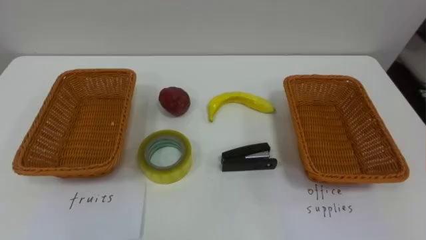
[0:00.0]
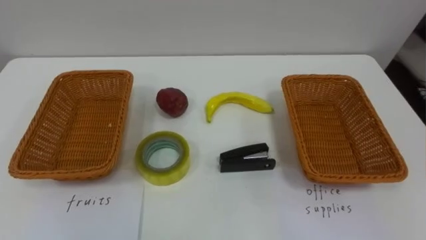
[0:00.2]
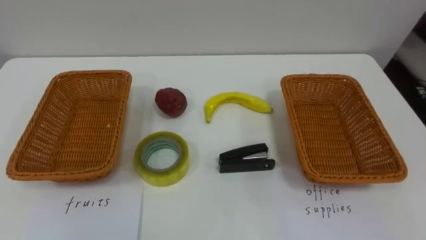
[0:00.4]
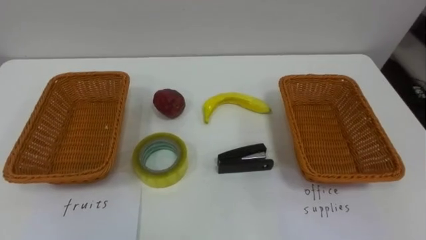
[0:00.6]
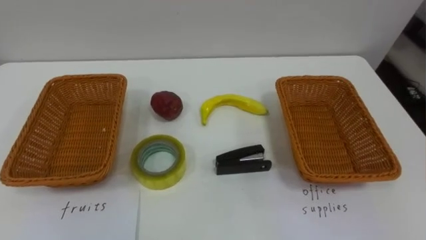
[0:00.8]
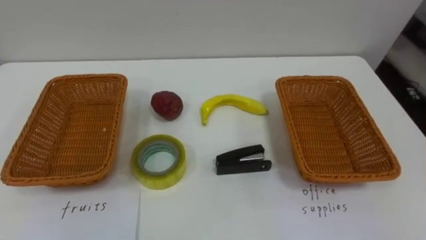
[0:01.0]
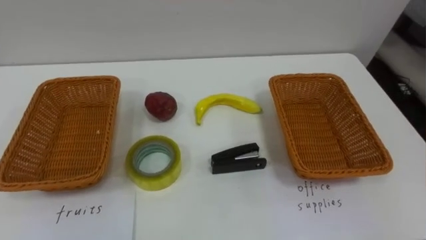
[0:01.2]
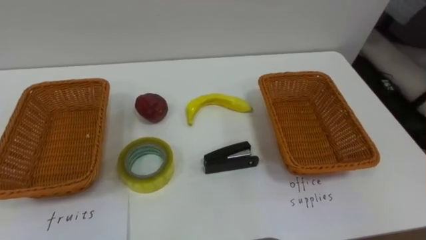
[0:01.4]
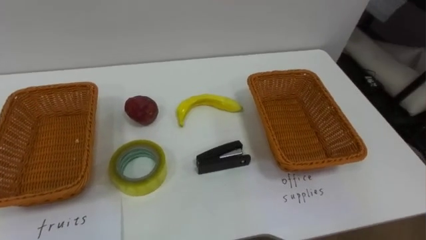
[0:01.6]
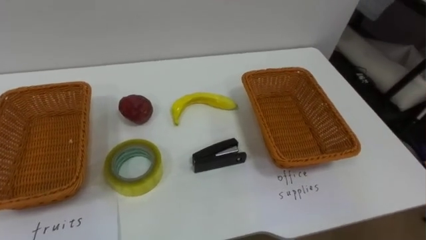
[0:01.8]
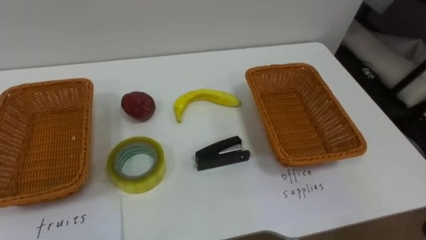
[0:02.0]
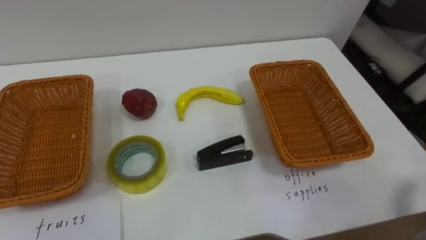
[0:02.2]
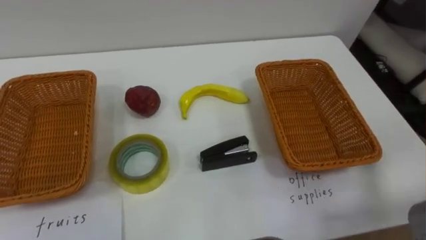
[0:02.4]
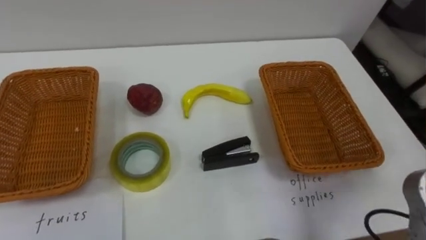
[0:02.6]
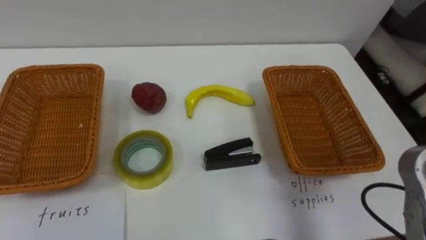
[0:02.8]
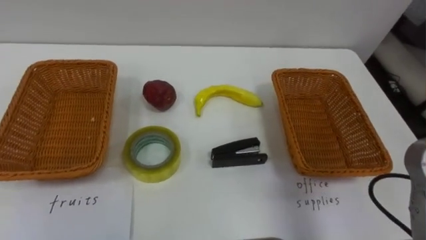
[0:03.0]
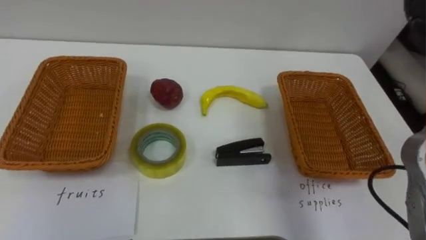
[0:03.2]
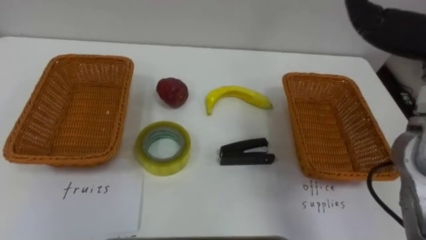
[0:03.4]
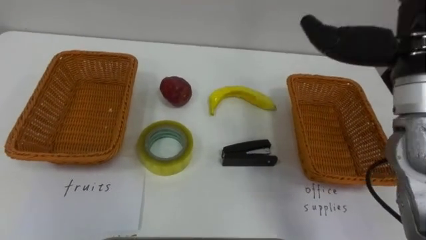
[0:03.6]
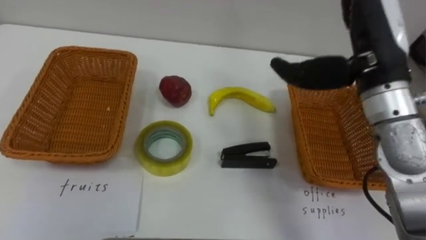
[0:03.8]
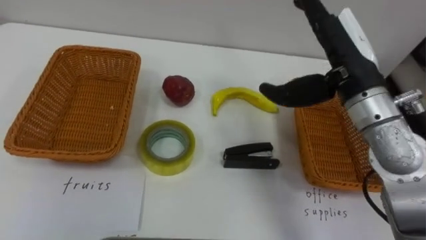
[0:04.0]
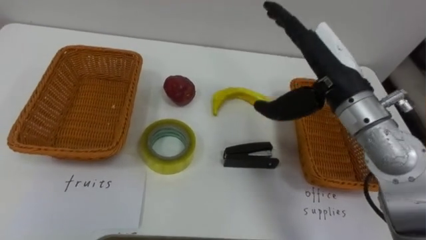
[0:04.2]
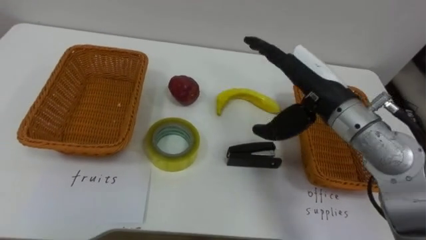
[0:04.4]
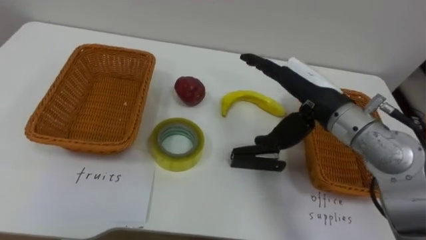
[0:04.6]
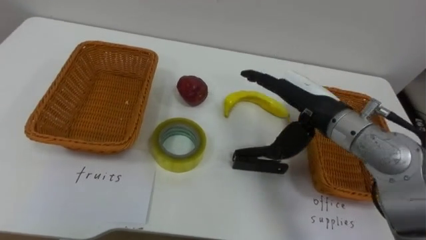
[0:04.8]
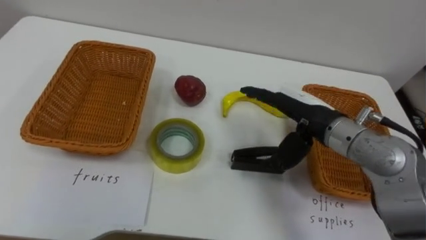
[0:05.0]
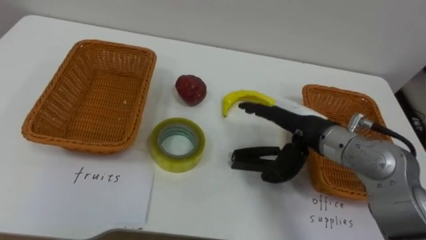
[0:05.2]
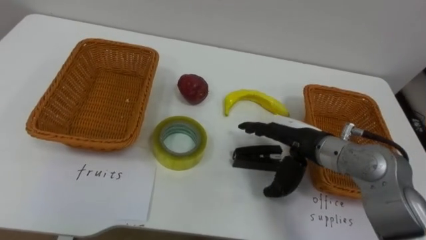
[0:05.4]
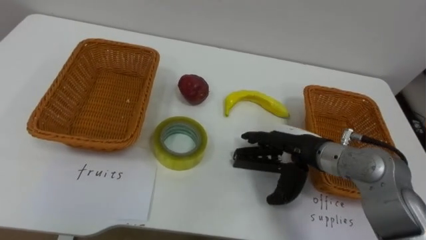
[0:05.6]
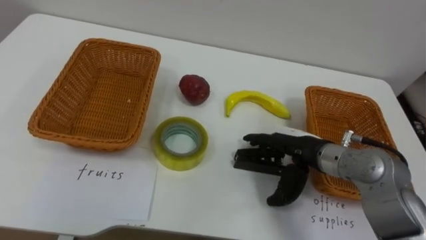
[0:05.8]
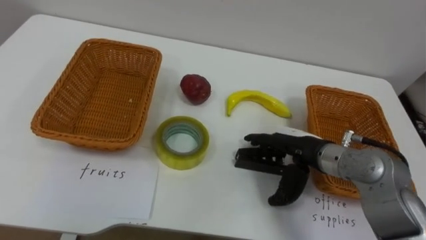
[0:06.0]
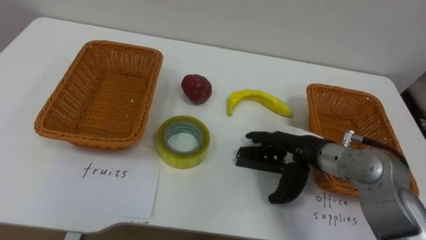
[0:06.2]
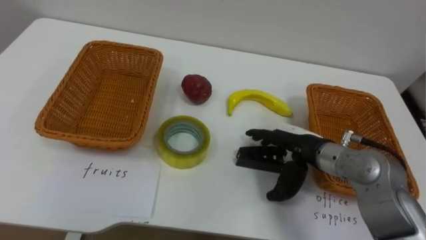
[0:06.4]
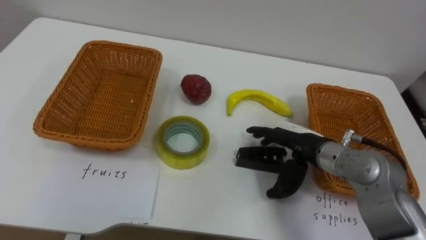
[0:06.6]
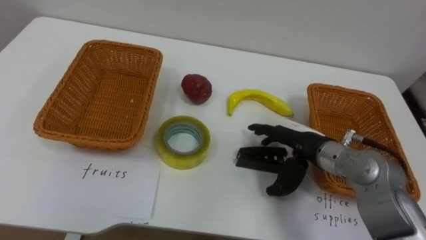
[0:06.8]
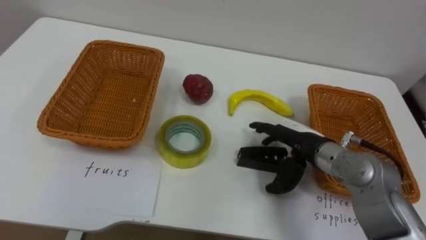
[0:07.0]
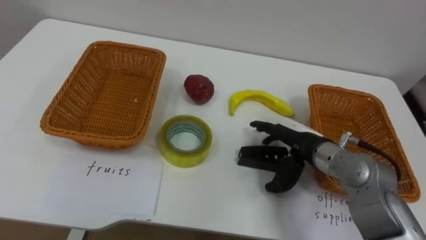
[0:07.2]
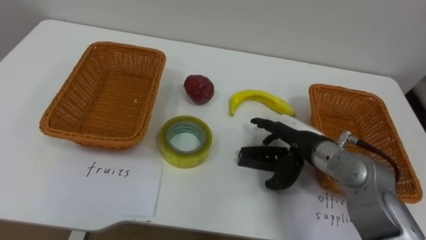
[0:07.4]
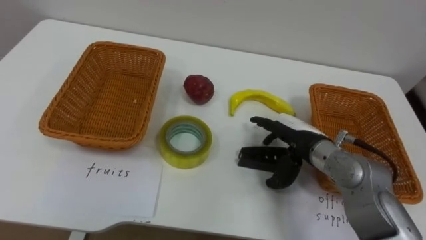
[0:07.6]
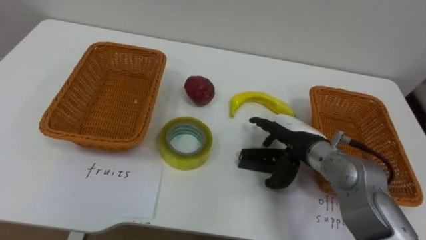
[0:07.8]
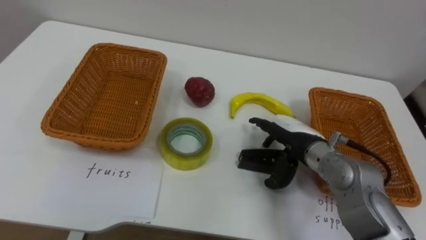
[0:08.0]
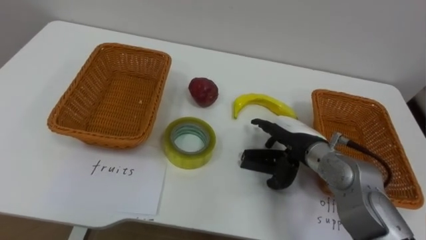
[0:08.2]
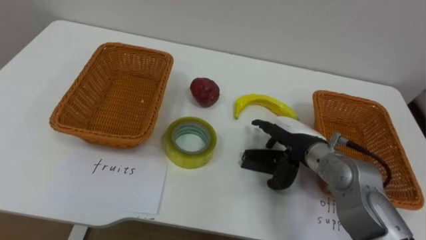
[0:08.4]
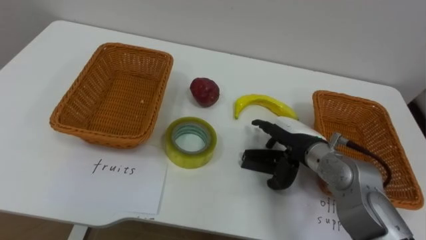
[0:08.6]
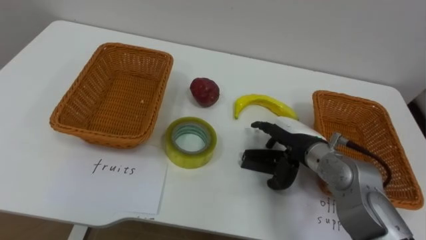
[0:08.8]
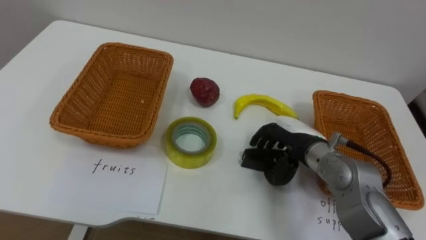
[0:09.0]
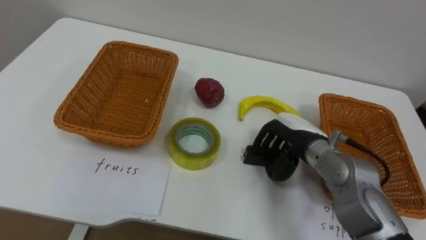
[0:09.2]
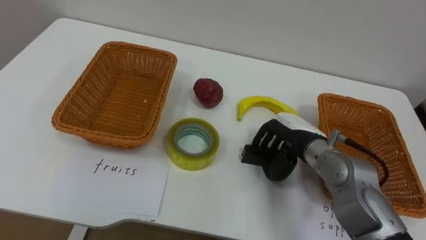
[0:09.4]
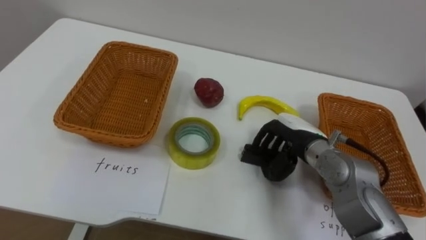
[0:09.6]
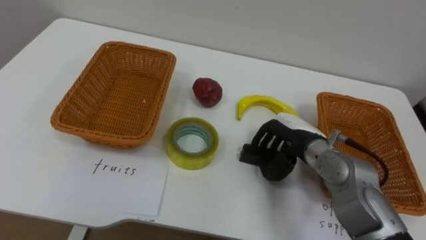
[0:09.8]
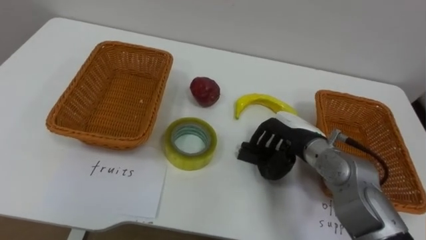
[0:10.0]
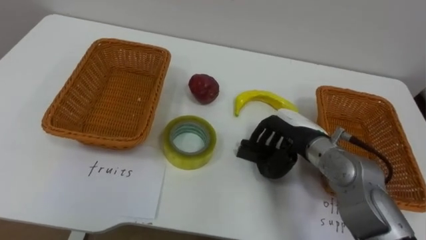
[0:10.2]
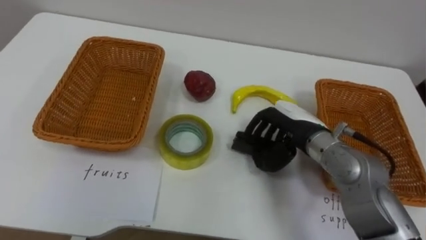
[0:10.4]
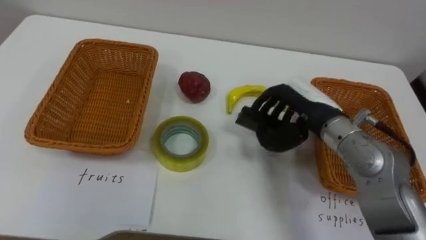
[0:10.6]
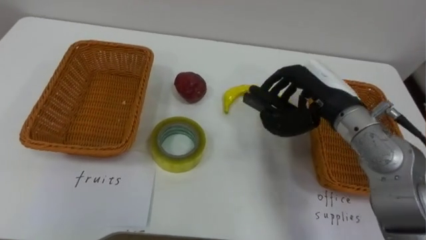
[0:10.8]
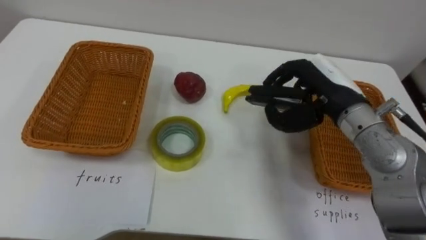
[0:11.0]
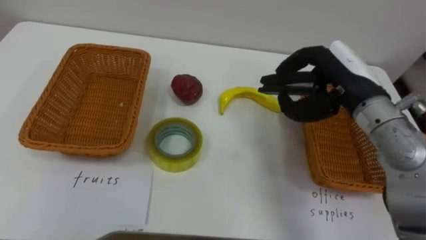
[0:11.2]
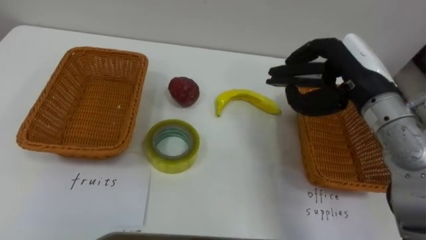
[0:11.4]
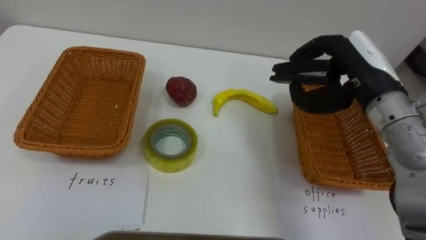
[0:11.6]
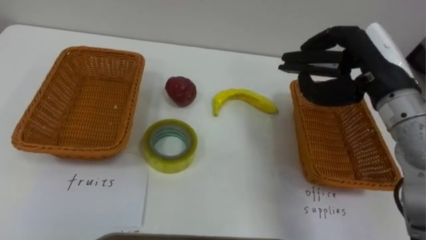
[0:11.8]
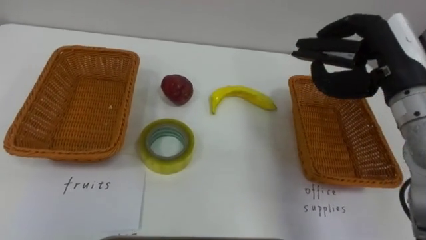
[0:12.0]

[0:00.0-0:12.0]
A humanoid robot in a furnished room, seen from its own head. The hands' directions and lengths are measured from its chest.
Task of the whole recording: Separate the items on the table and place them into the two baskets.
0:04.4 to 0:06.0: The right hand moves downward, approximately 15 cm.
0:10.4 to 0:12.0: The right hand goes about 15 cm upward and to the right.

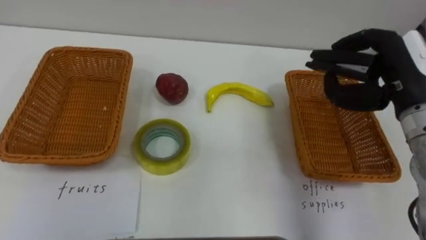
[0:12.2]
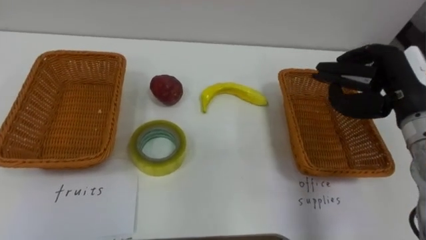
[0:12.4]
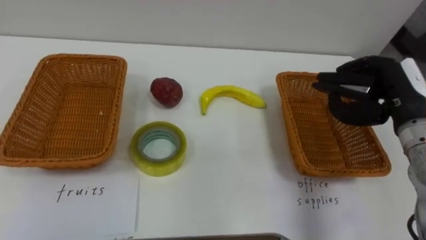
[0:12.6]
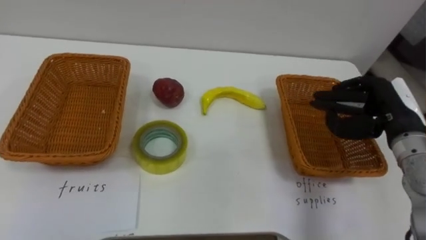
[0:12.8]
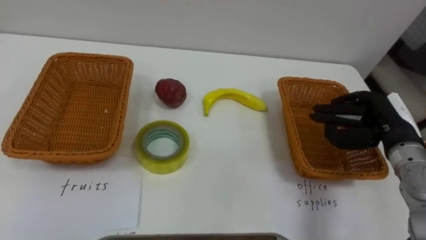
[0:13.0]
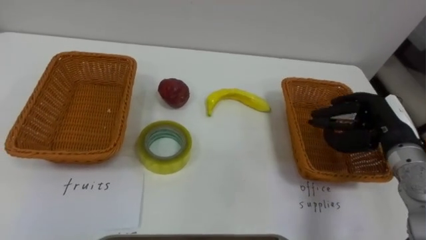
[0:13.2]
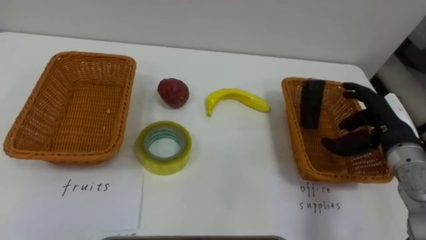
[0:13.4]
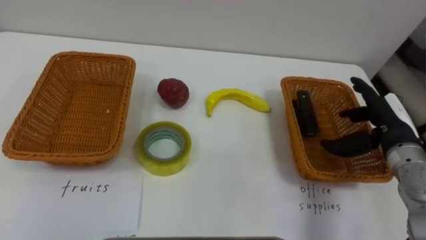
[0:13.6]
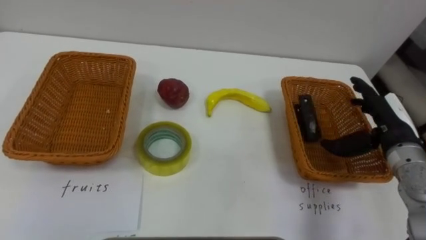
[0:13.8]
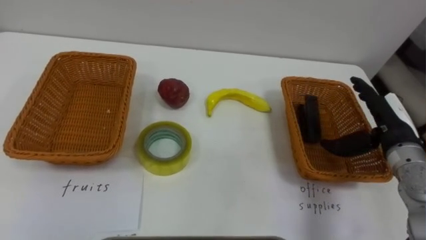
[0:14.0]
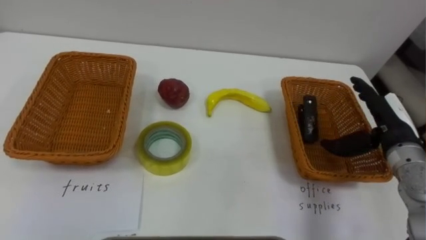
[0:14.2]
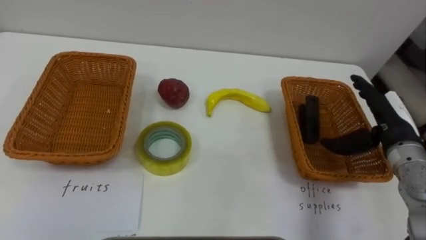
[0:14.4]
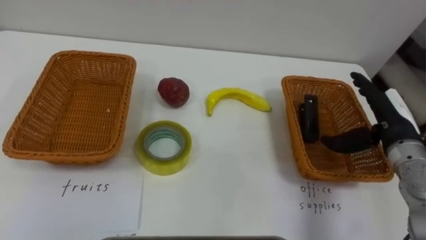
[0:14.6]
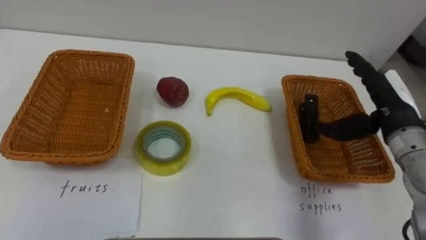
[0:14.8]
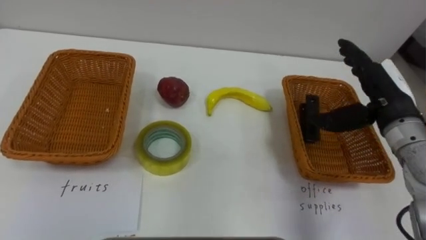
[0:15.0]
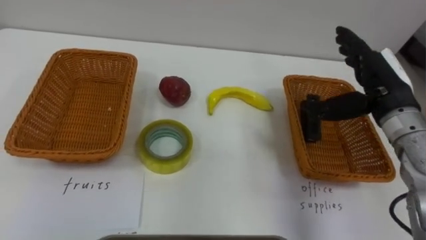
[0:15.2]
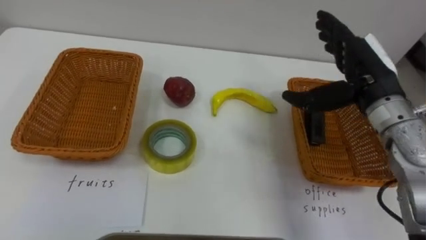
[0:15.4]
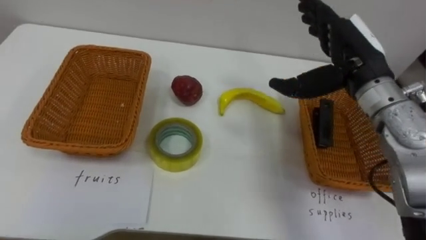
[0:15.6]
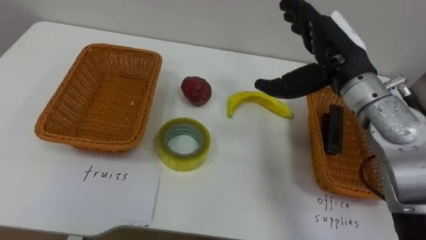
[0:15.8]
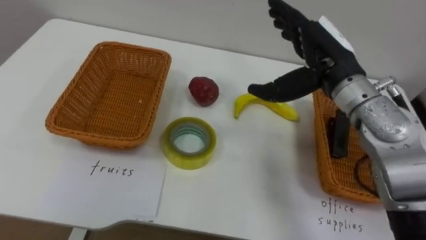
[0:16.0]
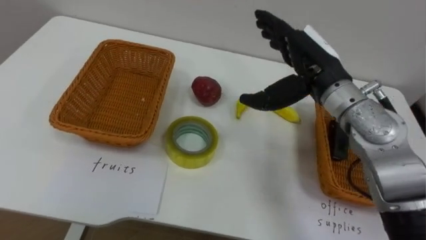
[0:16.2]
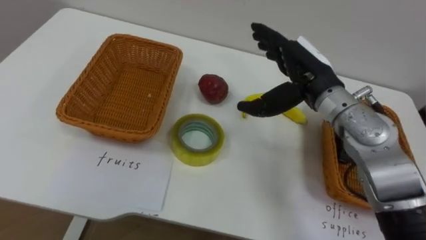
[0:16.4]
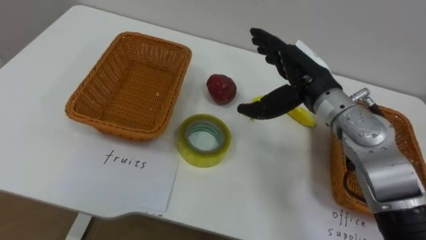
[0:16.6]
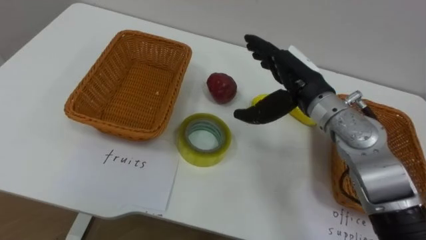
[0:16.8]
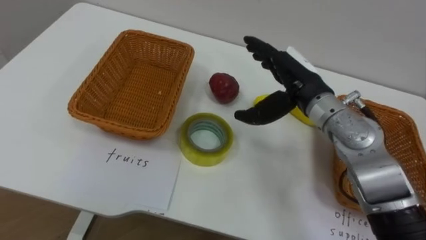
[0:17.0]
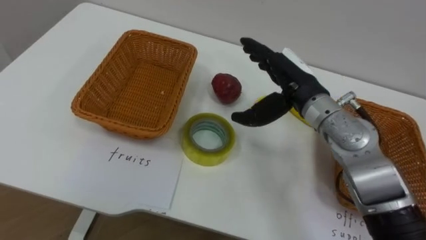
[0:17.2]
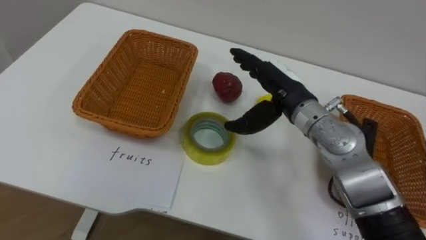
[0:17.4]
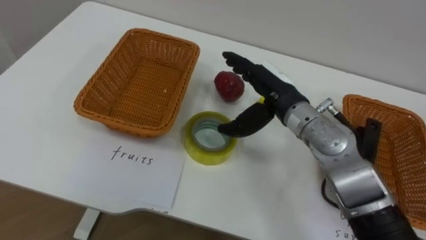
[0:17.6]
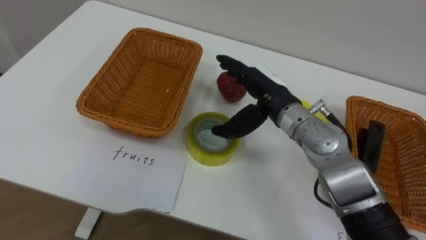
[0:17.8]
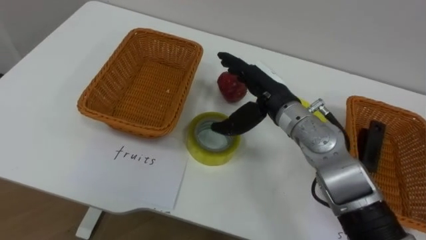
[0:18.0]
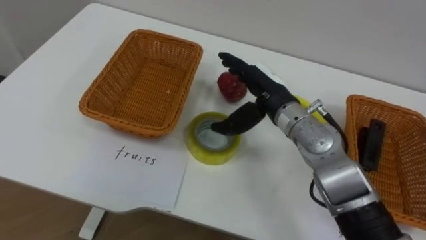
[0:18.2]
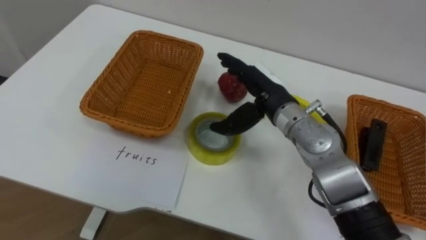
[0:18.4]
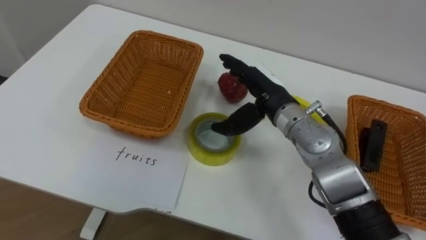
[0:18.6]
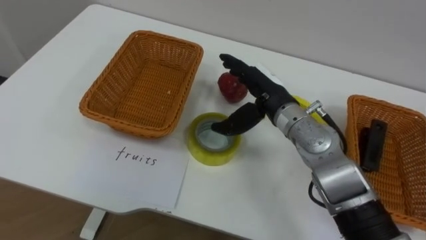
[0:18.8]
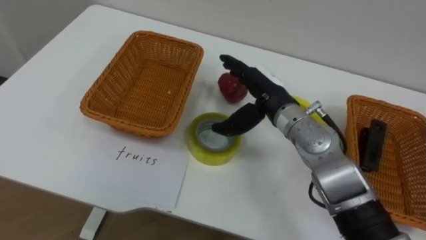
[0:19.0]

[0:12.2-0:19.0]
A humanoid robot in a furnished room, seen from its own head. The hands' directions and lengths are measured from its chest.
Task of the whole recording: Separate the items on the table and place them into the two baskets.
0:12.2 to 0:13.6: The right hand shifts approximately 10 cm downward, and opens its fingers.
0:13.6 to 0:15.0: The right hand travels upward by approximately 5 cm.
0:15.0 to 0:16.2: The right hand shifts approximately 10 cm to the left.
0:16.2 to 0:17.6: The right hand heads downward, covering some 5 cm.
